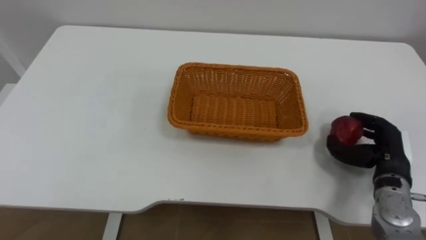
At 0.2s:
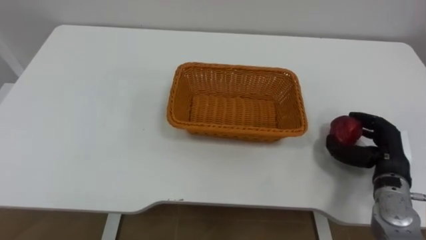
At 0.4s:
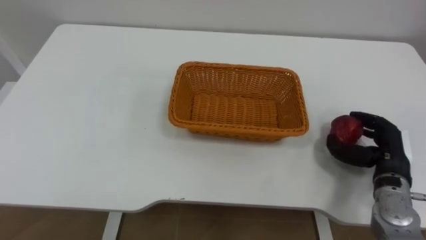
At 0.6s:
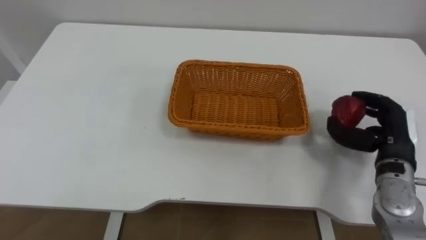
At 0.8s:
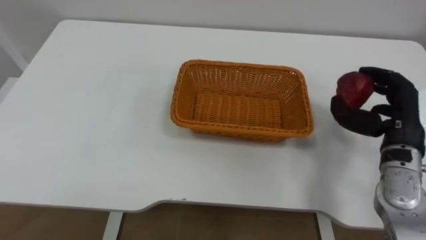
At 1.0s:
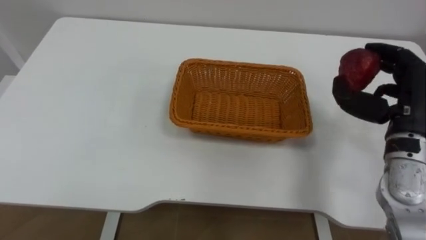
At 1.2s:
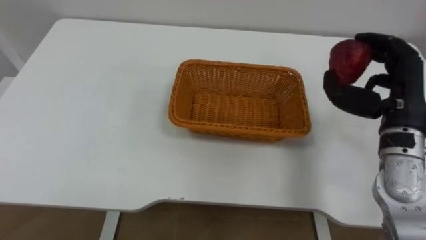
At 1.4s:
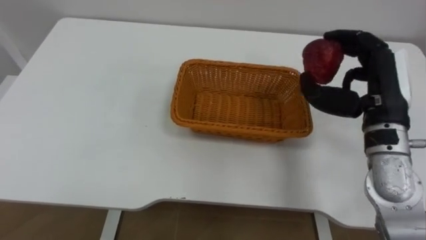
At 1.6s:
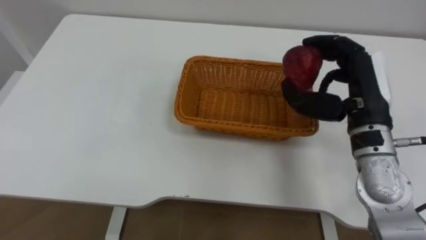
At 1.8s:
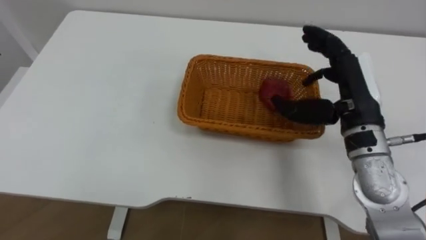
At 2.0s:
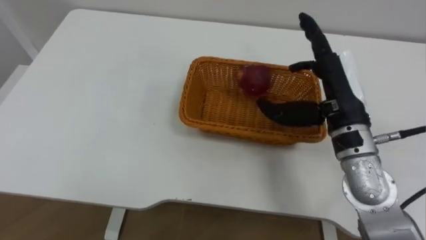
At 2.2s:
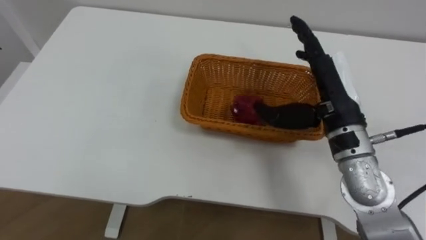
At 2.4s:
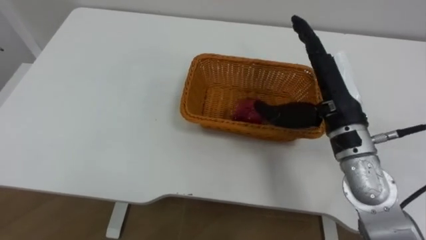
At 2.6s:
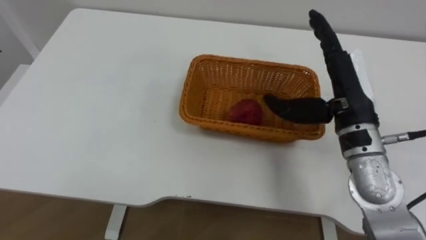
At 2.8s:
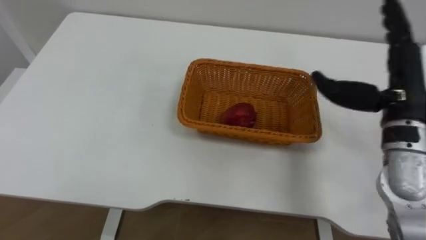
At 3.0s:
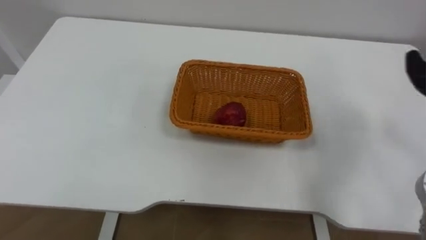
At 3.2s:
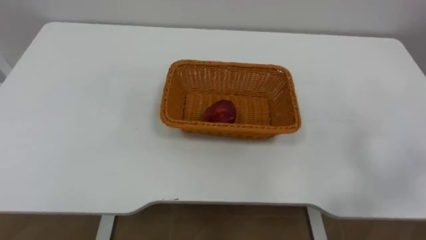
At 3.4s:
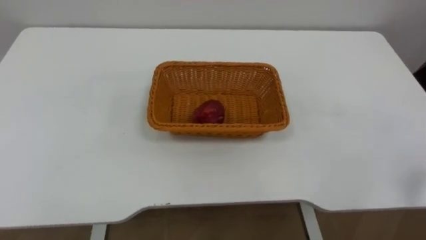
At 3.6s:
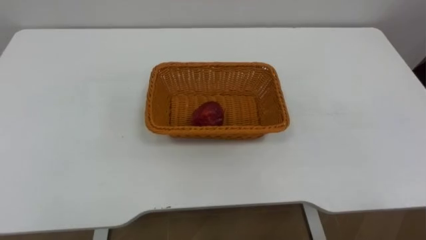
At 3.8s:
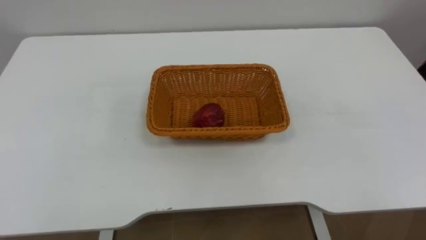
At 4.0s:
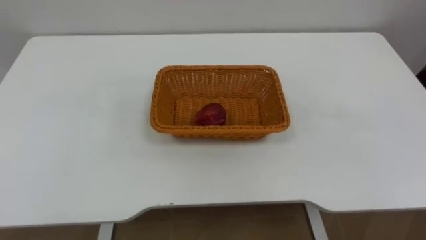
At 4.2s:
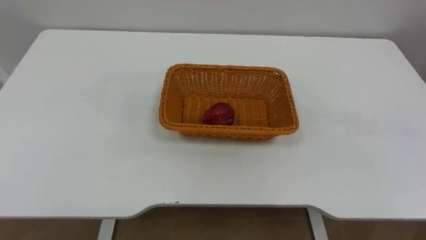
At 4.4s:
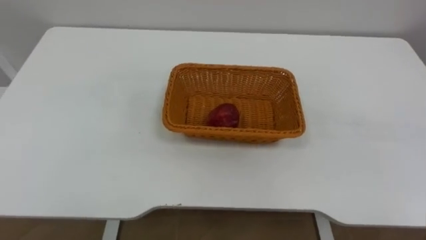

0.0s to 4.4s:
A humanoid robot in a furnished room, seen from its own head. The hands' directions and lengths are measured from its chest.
Task of the whole recording: Pick the apple and place it in the box.
0.0s to 1.4s: The right hand travels upward and to the left by approximately 15 cm.

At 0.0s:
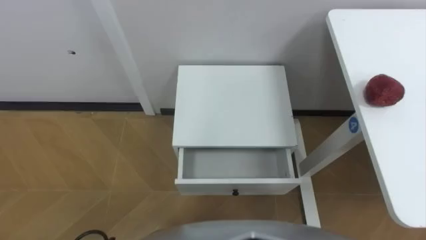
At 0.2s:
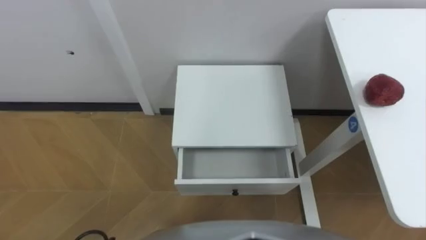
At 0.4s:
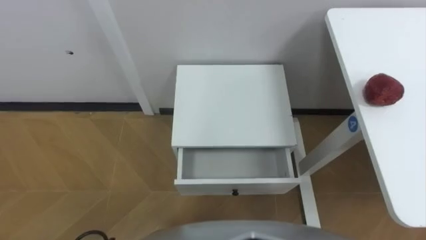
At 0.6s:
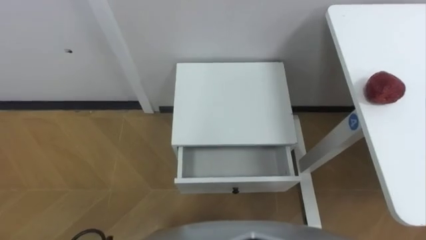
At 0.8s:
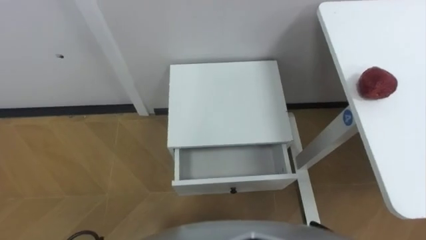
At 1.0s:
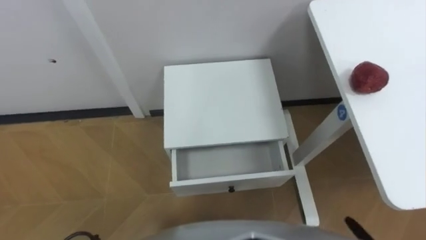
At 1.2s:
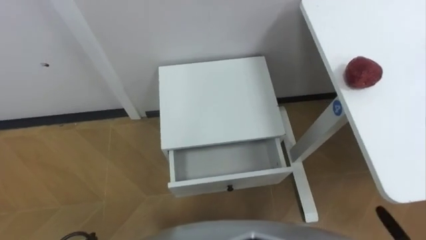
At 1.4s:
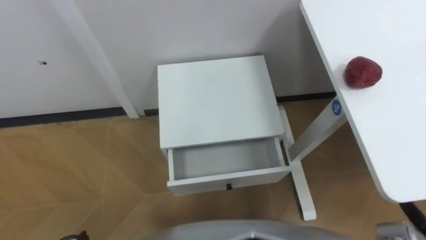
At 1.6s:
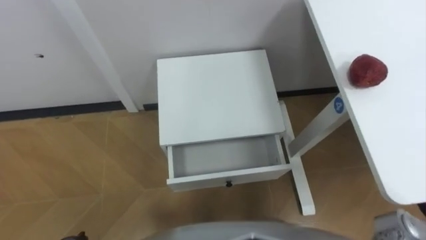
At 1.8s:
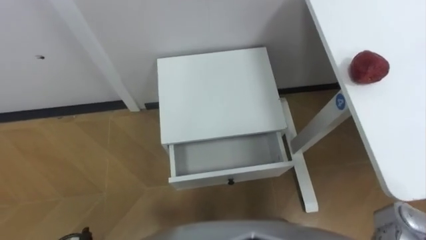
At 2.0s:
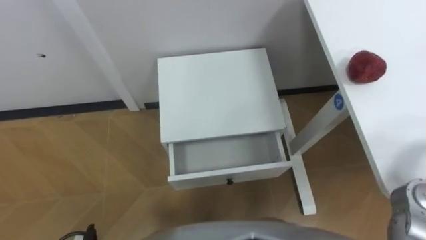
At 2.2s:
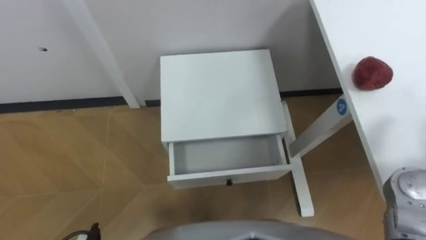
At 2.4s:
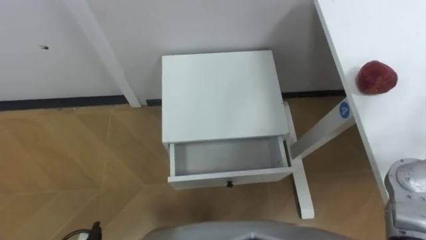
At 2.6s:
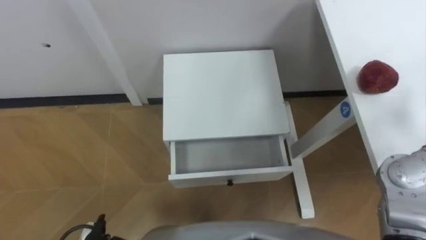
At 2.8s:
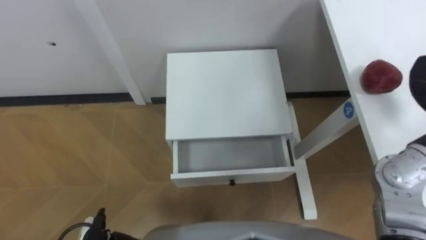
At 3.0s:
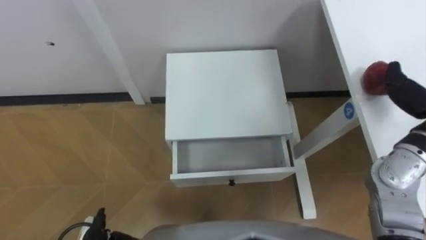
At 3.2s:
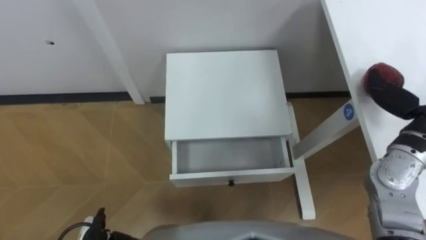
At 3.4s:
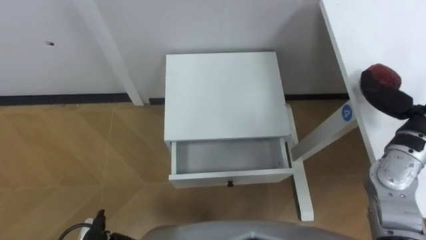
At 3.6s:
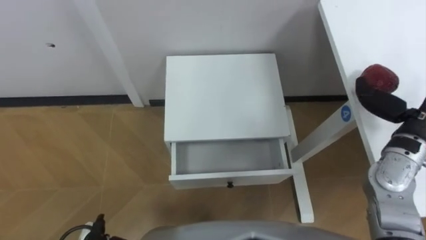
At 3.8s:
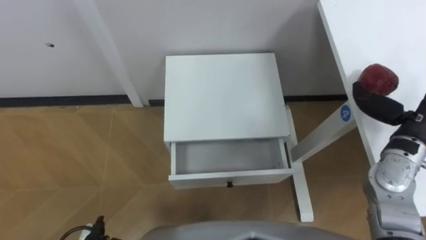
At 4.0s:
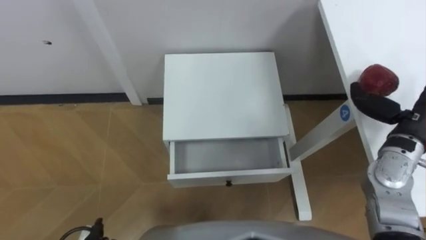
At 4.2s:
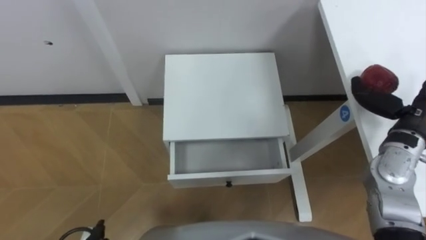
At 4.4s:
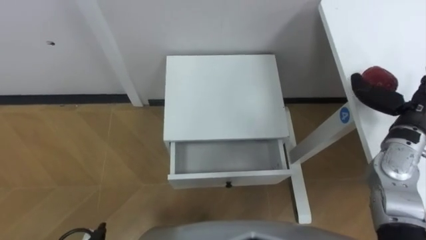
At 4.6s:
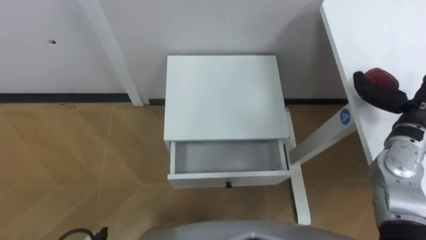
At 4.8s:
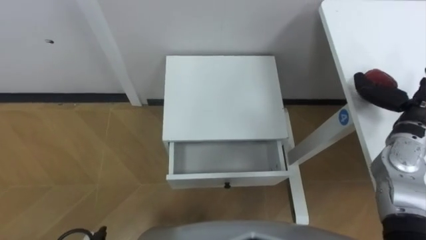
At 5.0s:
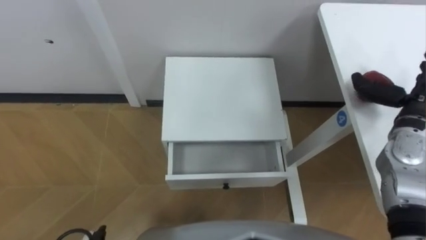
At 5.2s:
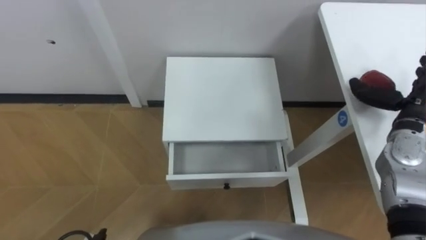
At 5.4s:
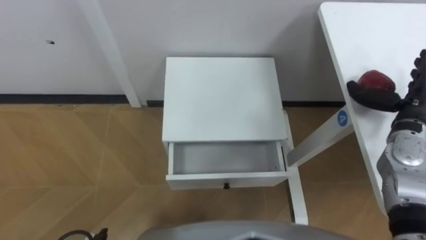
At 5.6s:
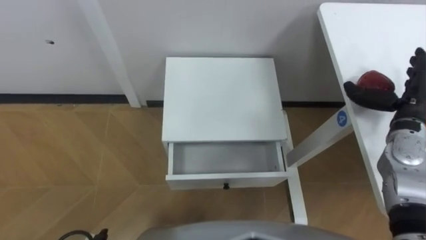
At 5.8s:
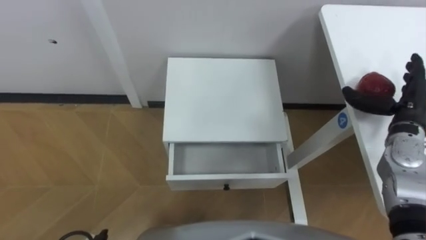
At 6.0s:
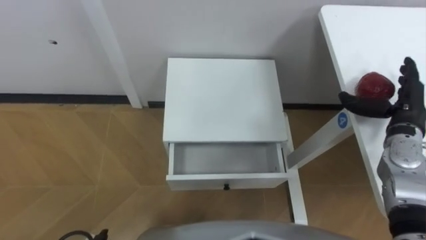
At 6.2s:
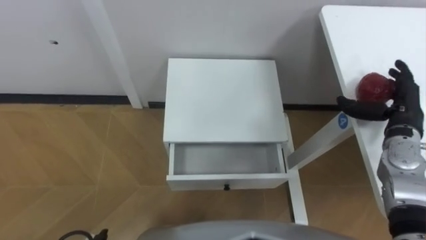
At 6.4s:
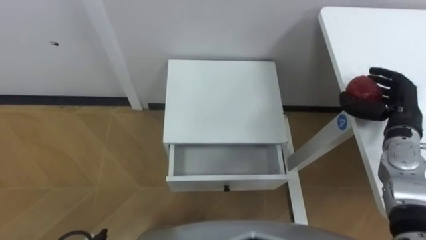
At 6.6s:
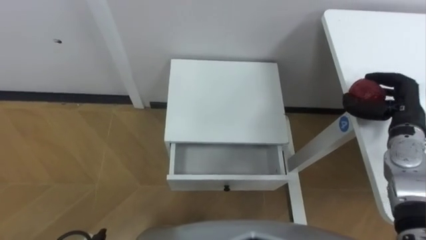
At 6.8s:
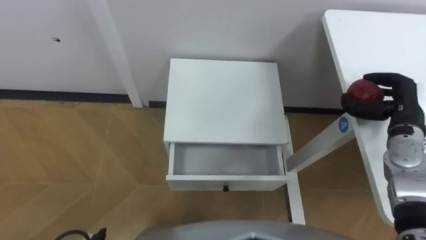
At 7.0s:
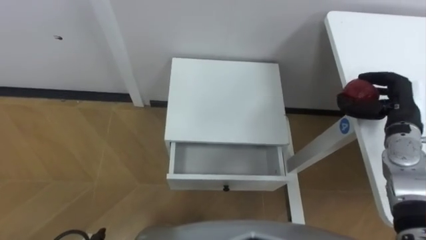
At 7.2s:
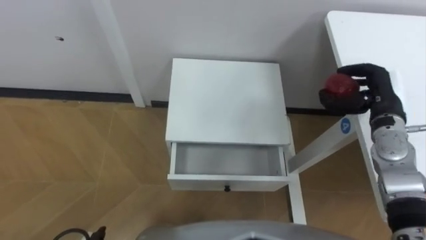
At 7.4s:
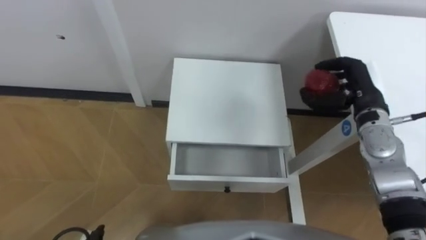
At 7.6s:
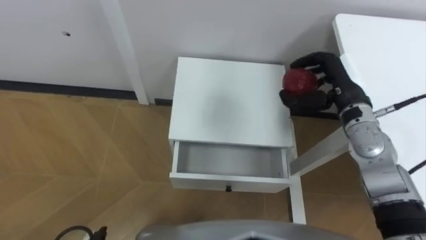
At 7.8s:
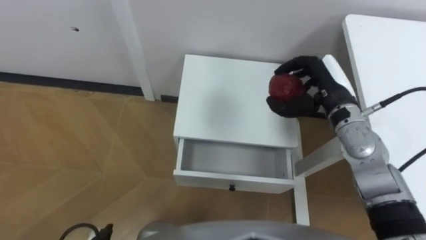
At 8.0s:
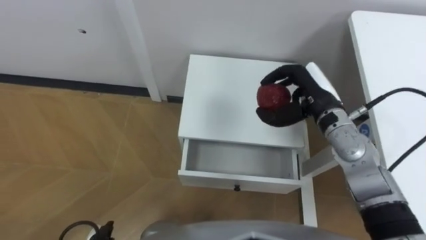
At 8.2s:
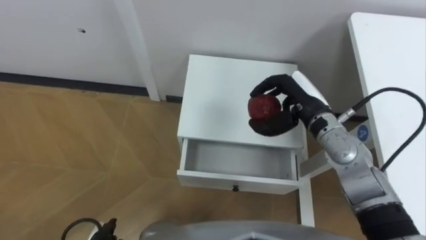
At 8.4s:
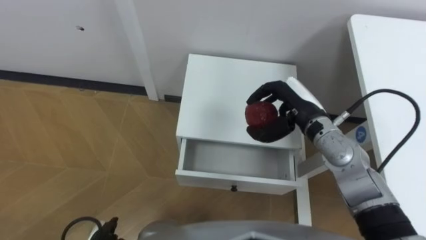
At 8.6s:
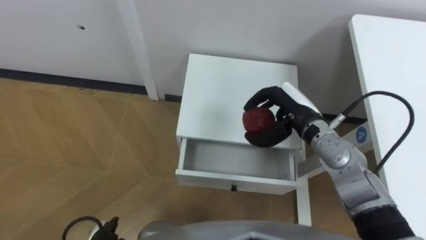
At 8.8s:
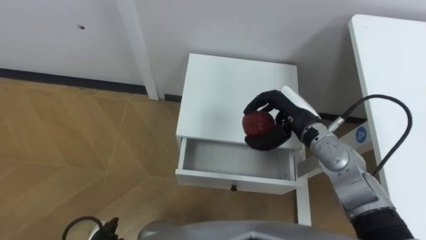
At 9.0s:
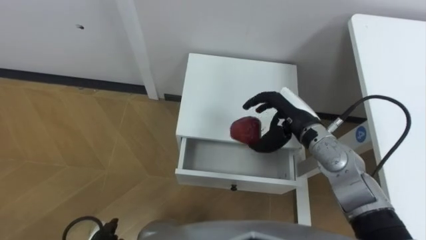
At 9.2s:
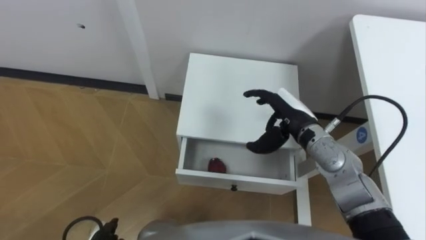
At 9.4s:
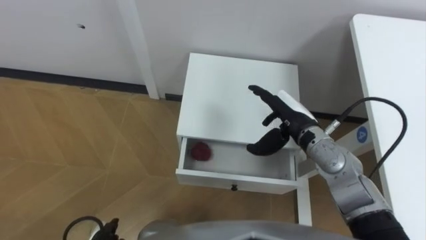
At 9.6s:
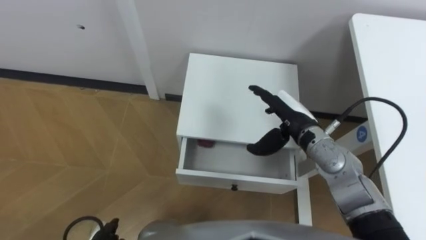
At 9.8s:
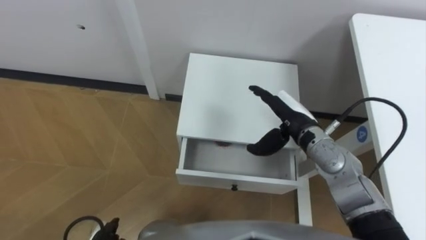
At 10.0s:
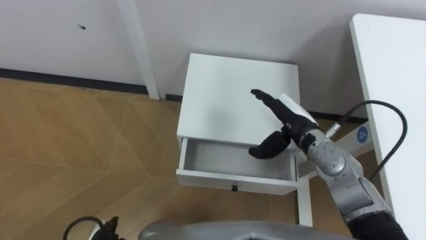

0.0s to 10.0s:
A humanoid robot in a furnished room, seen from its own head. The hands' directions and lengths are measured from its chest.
Task of the whole recording: Pick up the apple from the table, put it in the drawer, and close the drawer with leg.
4.2s to 5.8s: The right hand moves roughly 5 cm.
5.8s to 7.2s: The right hand closes its fingers.
7.2s to 8.6s: The right hand is displaced to the left by some 15 cm.
8.6s to 10.0s: The right hand opens up.

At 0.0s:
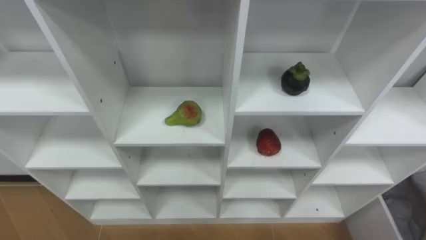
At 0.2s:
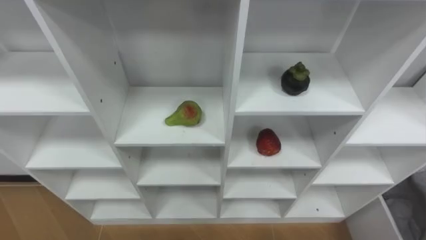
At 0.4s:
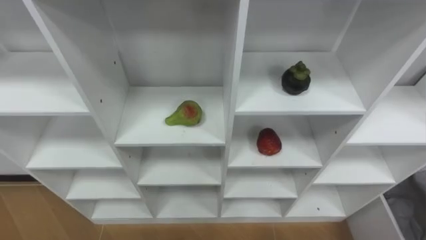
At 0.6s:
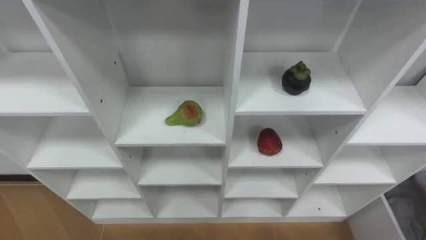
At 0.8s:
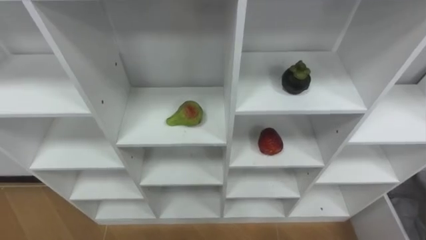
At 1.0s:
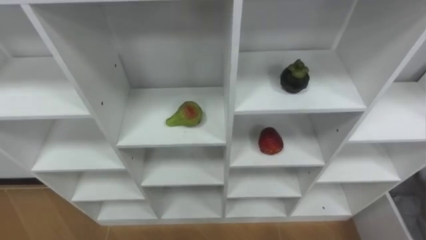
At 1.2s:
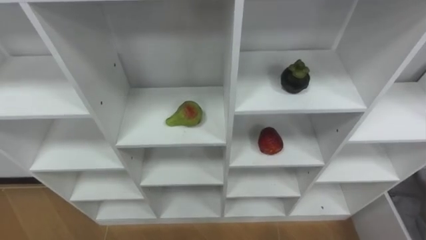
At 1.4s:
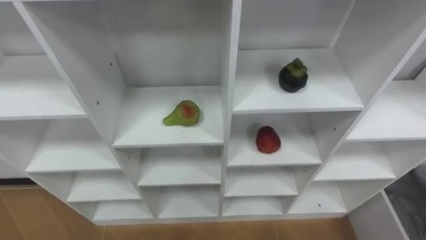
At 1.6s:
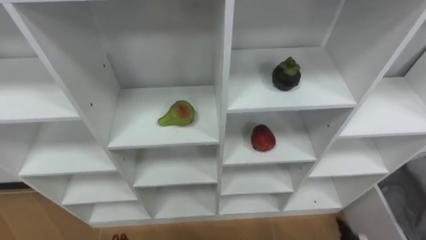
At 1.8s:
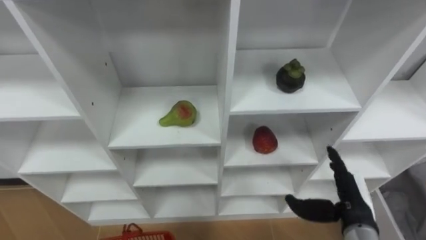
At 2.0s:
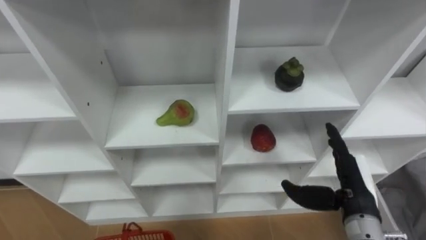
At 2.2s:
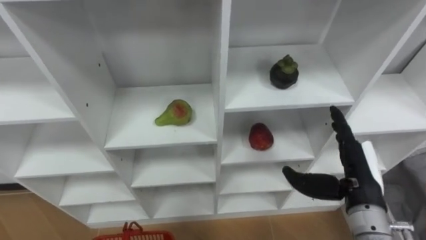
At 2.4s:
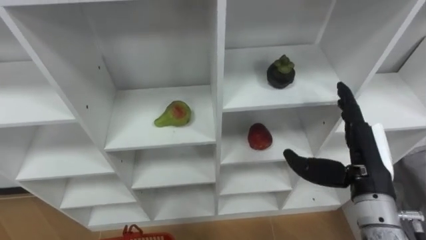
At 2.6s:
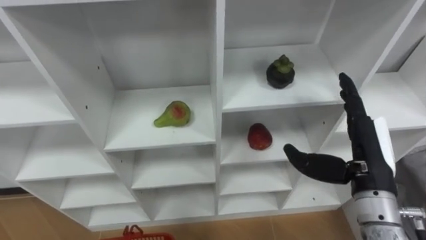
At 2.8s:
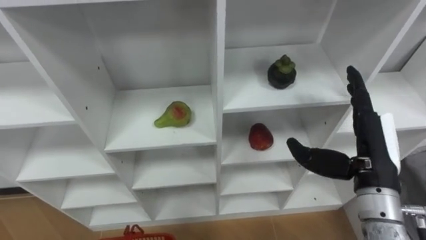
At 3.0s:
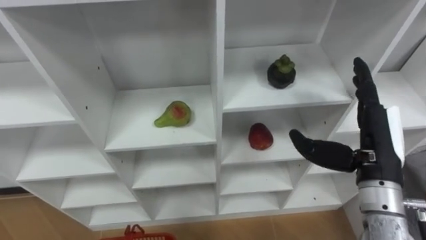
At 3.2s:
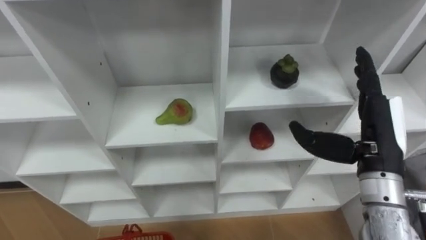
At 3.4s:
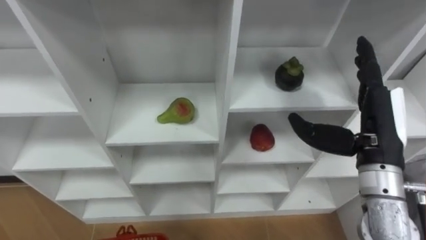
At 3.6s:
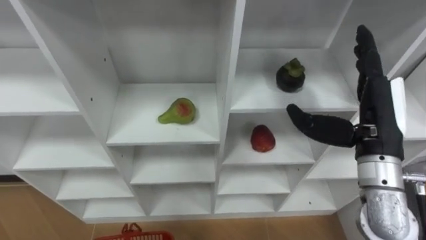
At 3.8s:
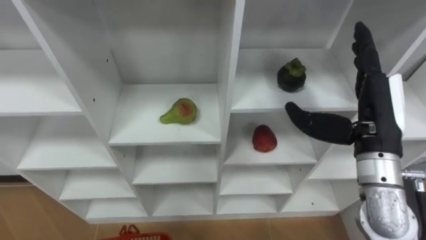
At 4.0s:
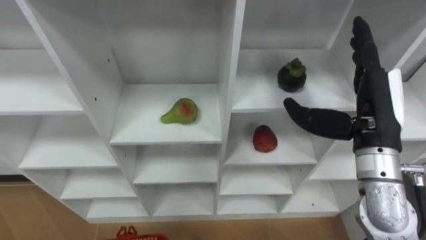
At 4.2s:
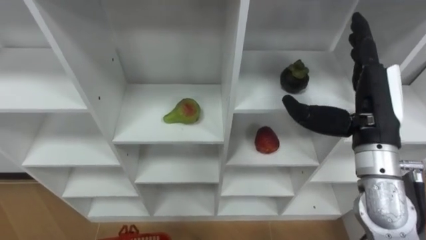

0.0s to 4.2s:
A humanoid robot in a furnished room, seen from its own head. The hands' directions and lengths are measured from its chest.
Task of the whole recording: Hold the basket and collect the fruits from 3 different cells of the closet into it.
2.8s to 4.2s: The right hand shifts about 5 cm upward.
